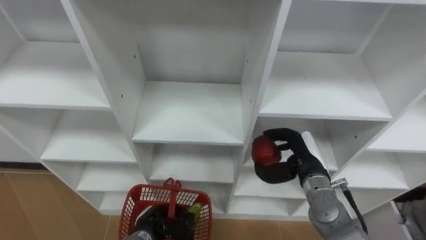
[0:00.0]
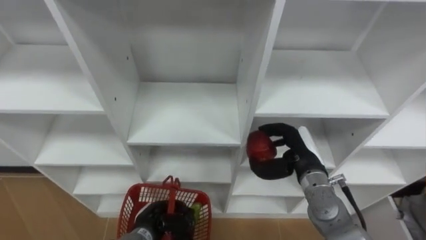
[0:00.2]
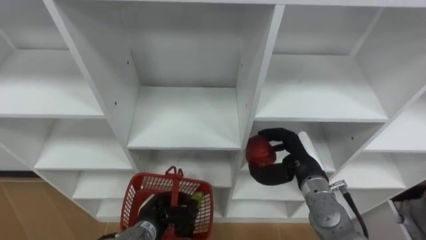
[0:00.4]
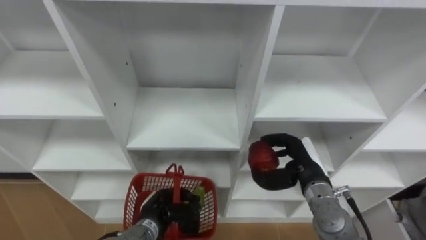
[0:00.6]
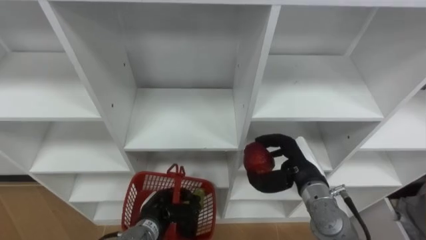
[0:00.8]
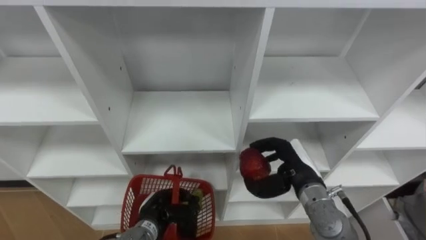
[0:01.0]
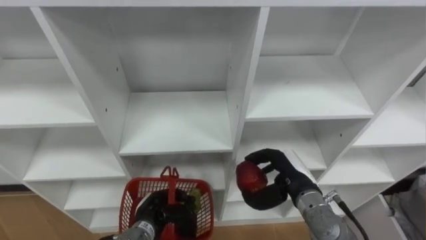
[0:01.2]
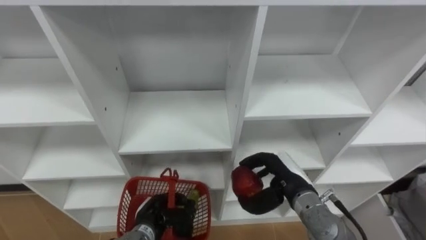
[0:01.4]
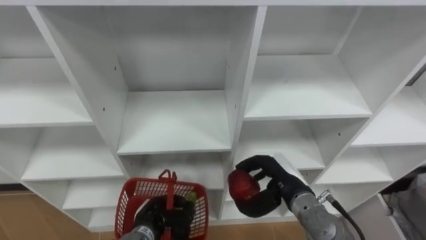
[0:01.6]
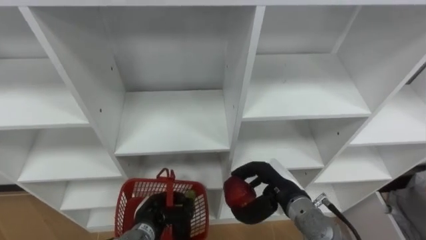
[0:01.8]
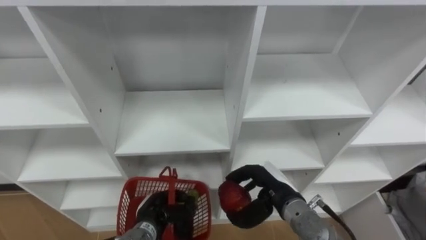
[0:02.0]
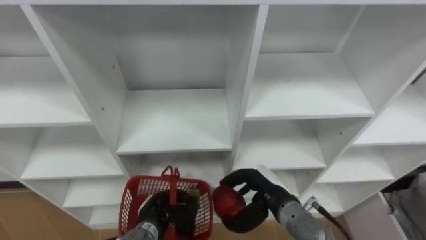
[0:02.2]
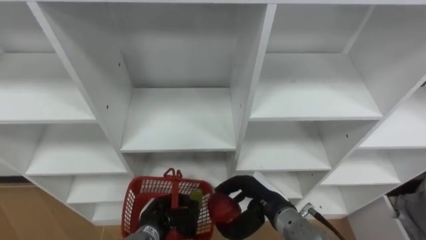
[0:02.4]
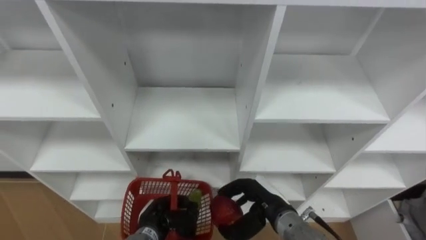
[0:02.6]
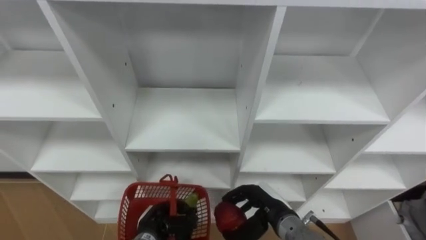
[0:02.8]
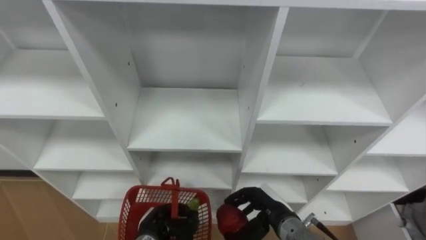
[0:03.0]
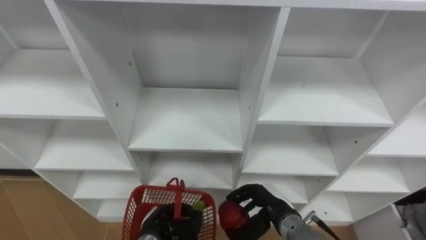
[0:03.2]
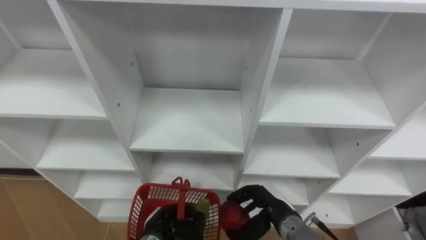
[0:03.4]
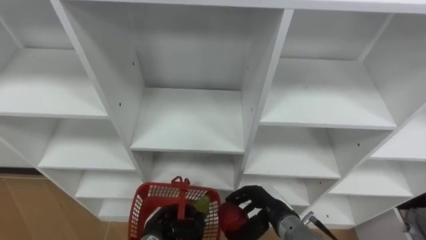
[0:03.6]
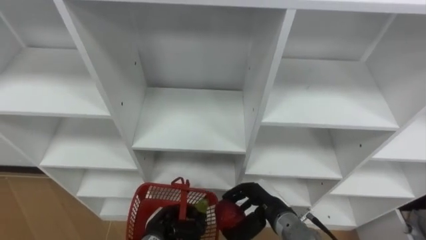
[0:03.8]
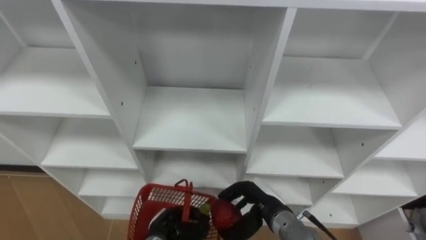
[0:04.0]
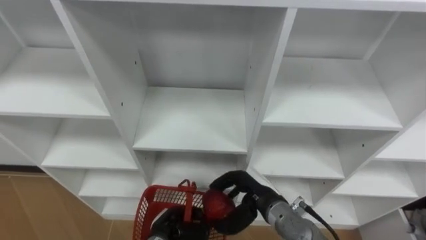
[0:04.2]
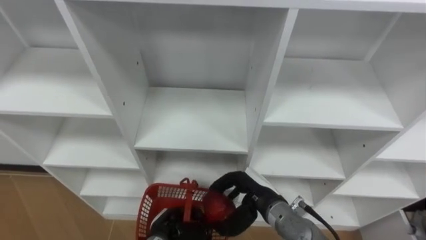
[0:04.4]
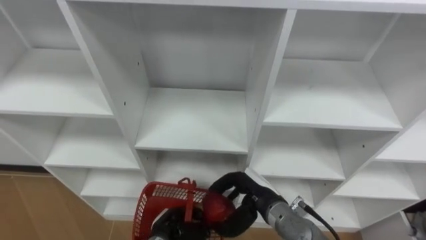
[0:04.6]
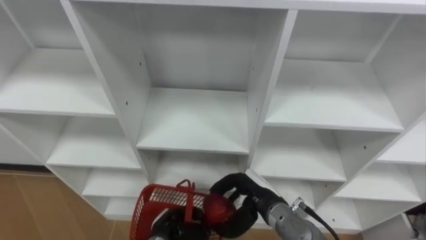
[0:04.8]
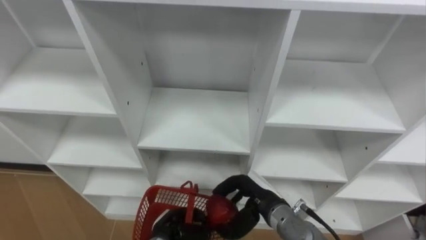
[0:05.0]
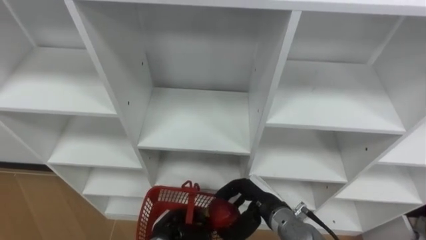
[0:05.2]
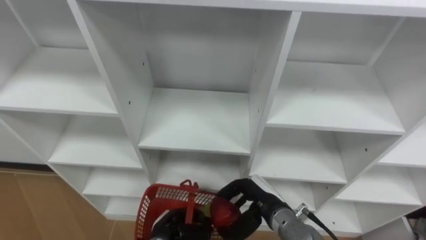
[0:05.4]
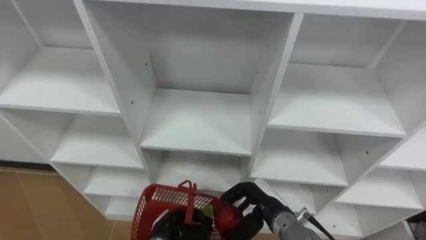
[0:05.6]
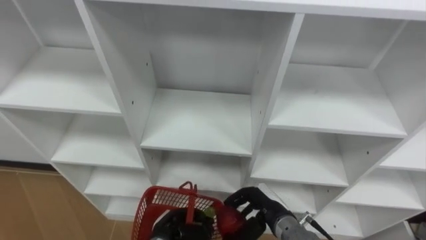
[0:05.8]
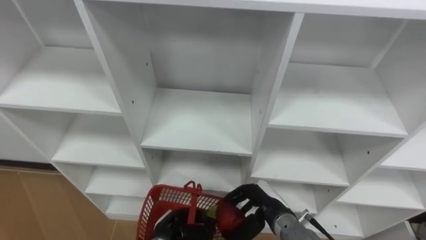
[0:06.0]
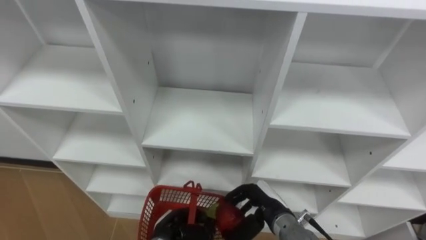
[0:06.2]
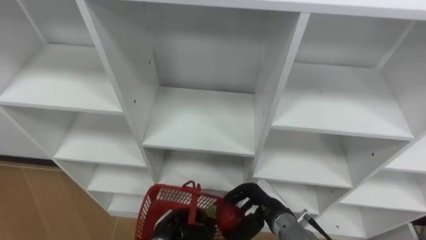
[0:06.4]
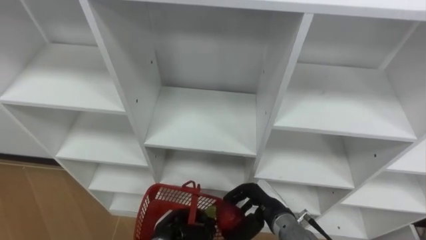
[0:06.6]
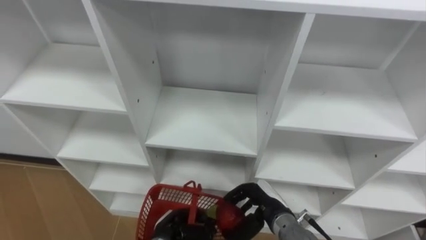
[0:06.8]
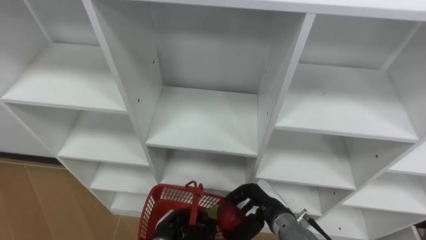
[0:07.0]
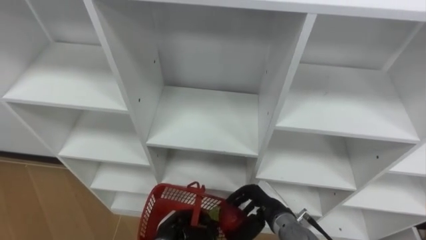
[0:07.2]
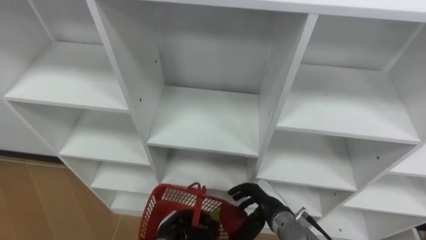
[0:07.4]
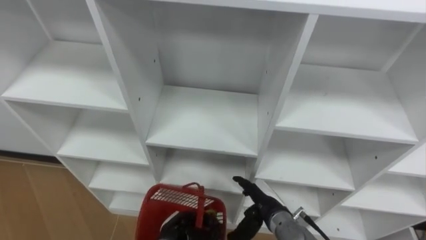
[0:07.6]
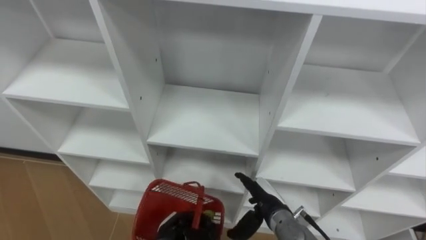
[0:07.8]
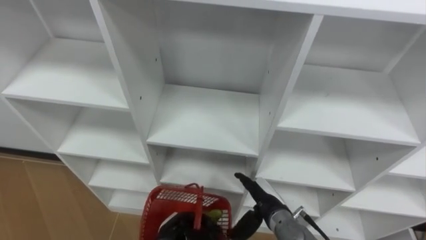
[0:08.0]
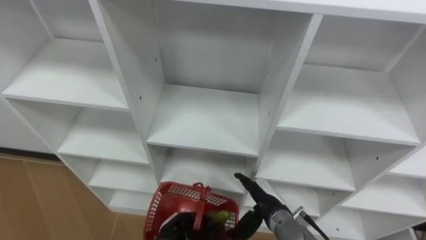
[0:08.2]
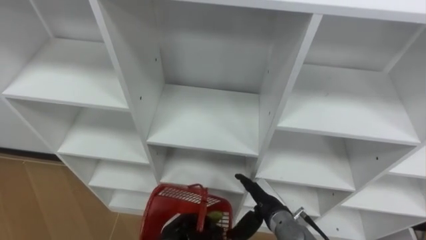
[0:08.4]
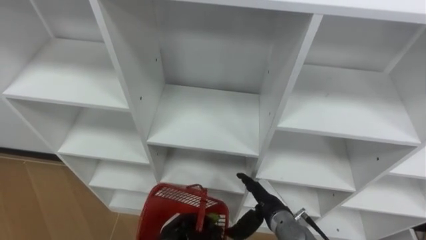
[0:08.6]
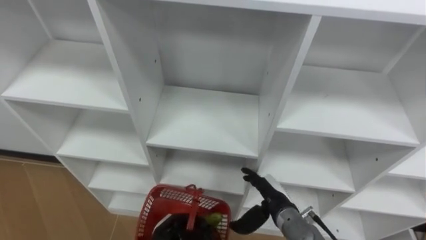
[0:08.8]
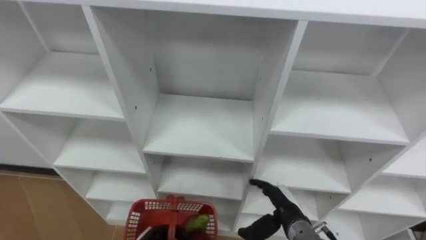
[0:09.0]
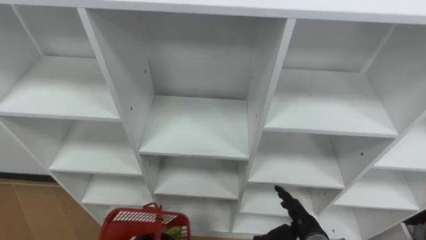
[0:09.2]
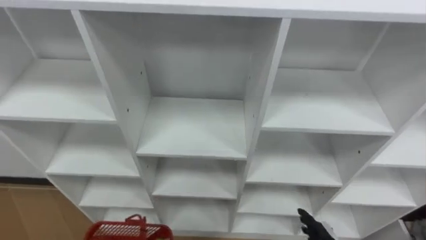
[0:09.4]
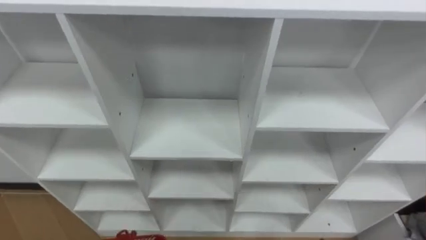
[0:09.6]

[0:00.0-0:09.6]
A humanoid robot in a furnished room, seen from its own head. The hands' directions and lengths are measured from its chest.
Task of the whole recording: Hold the basket and collect the fruits from 3 different cells of the closet into it.
0:00.0 to 0:01.6: The right hand ends up roughly 5 cm from where it was.
0:01.6 to 0:03.2: The right hand is displaced downward by some 5 cm.
0:03.2 to 0:04.8: There are only small adjustments of the hands.
0:06.4 to 0:08.0: The right hand opens.

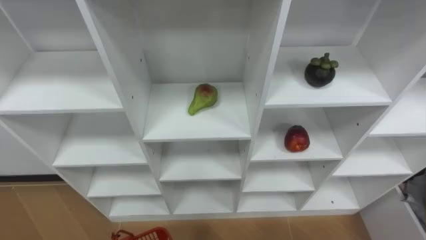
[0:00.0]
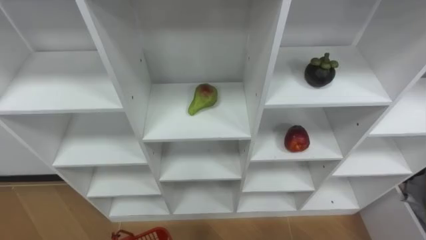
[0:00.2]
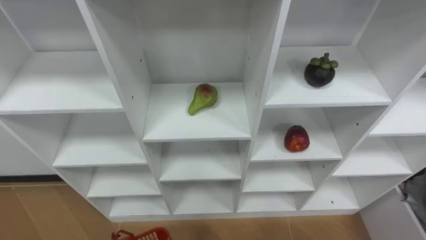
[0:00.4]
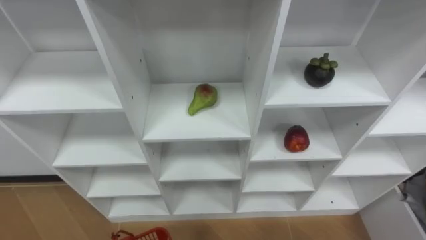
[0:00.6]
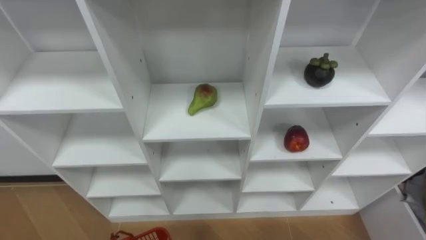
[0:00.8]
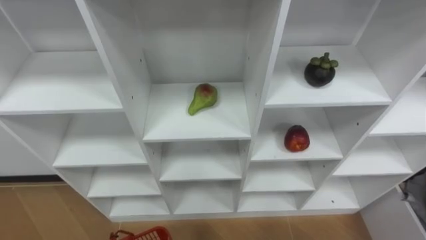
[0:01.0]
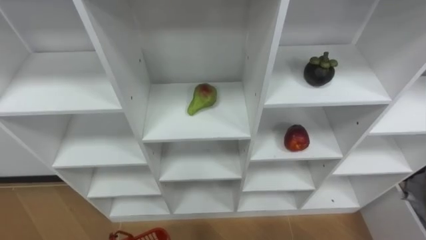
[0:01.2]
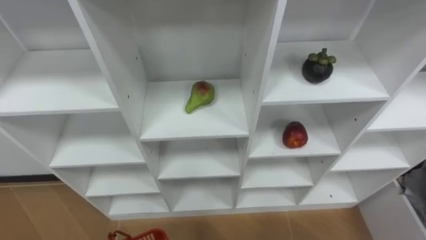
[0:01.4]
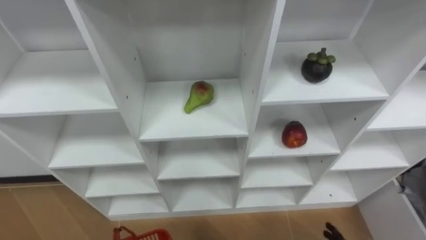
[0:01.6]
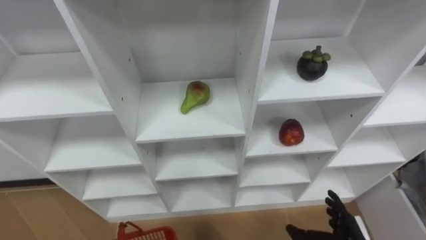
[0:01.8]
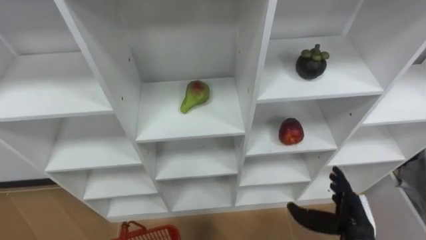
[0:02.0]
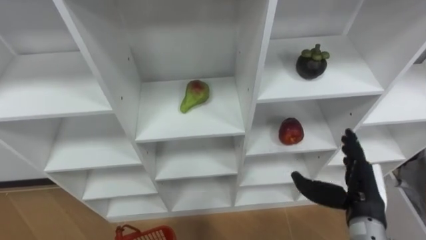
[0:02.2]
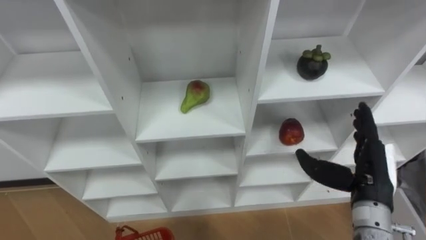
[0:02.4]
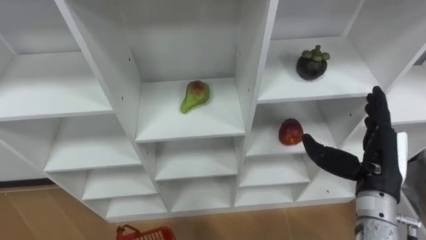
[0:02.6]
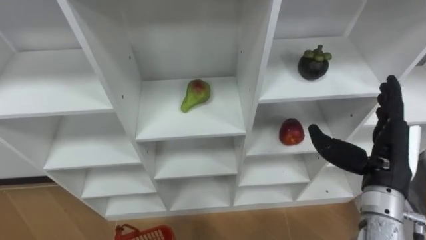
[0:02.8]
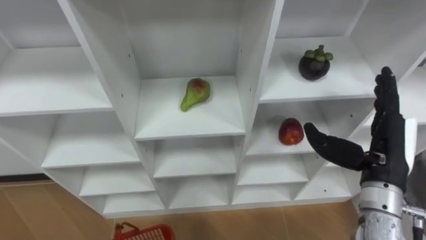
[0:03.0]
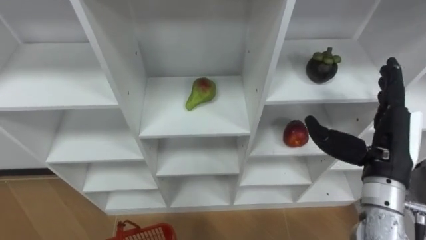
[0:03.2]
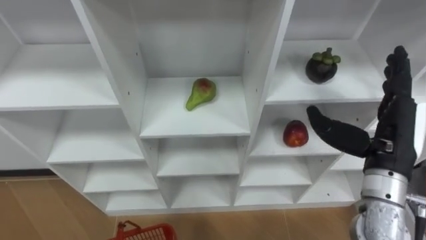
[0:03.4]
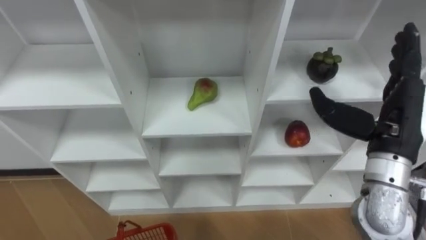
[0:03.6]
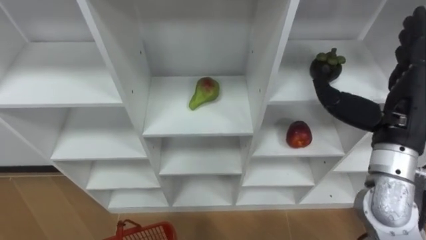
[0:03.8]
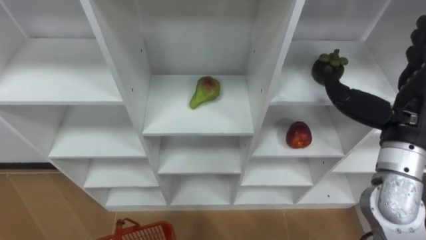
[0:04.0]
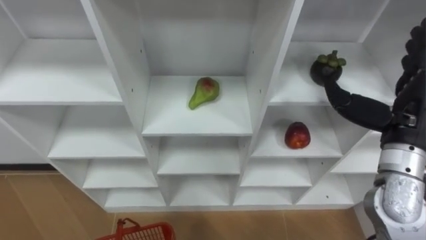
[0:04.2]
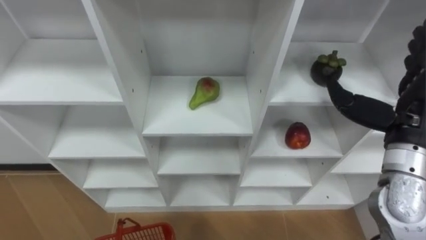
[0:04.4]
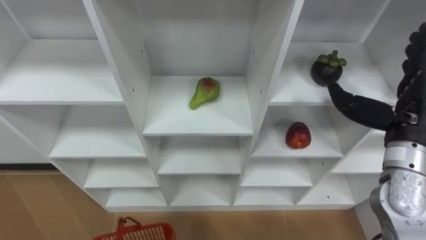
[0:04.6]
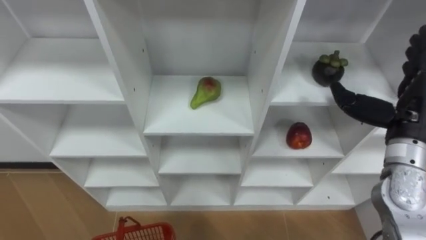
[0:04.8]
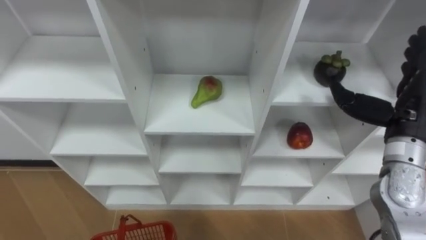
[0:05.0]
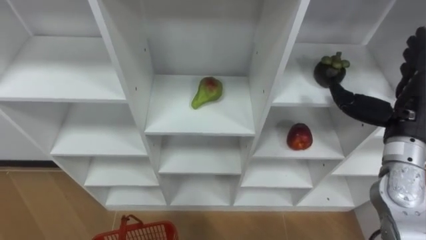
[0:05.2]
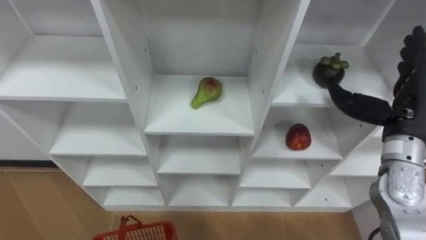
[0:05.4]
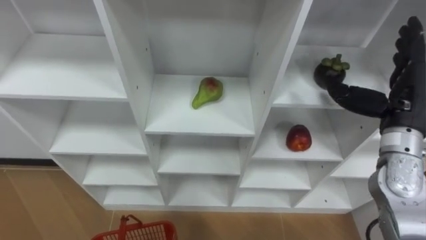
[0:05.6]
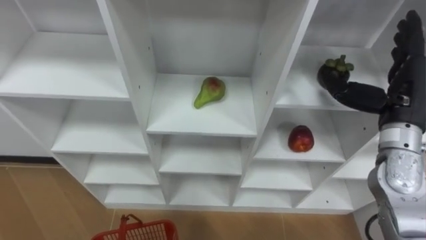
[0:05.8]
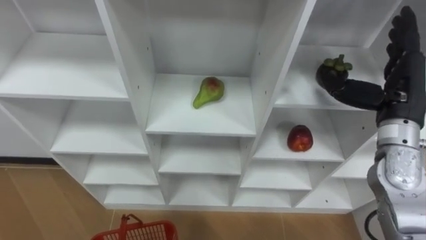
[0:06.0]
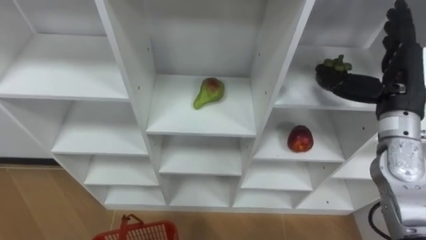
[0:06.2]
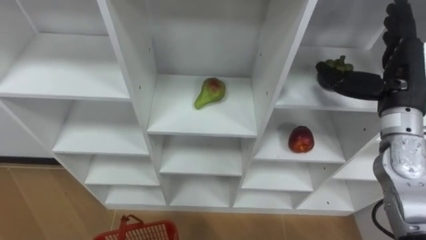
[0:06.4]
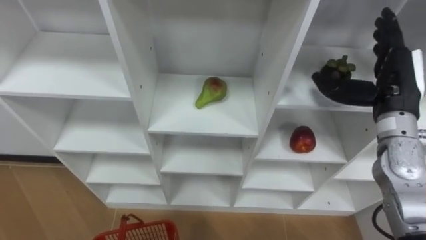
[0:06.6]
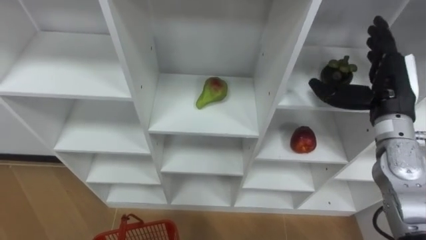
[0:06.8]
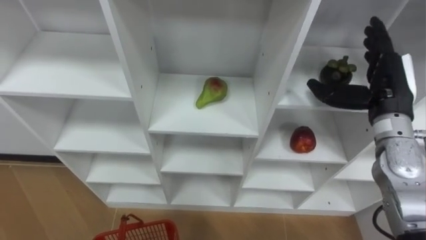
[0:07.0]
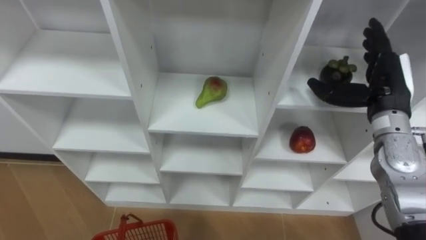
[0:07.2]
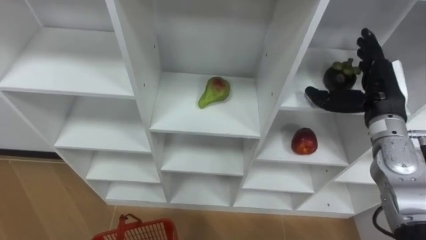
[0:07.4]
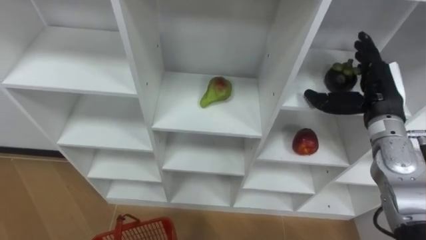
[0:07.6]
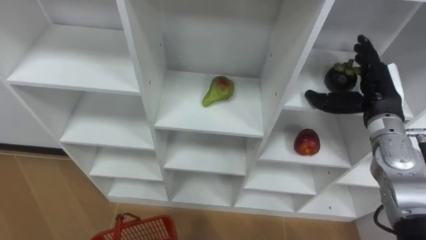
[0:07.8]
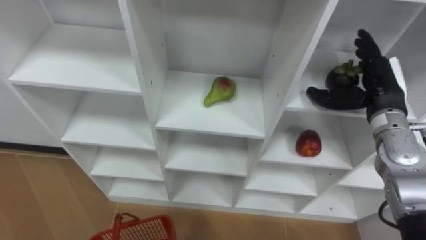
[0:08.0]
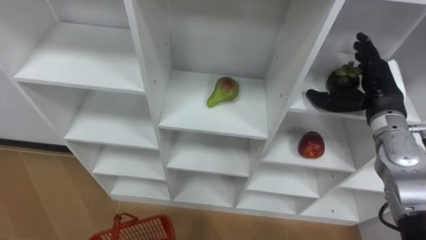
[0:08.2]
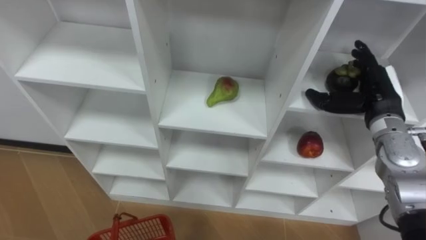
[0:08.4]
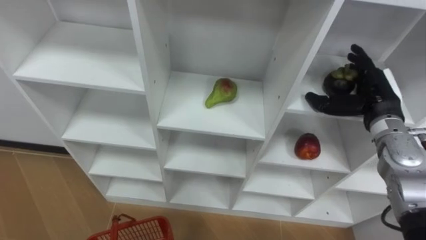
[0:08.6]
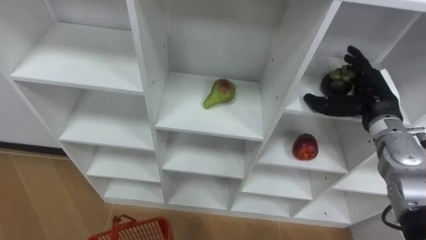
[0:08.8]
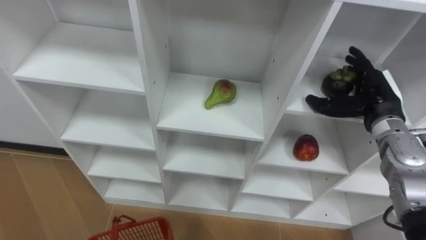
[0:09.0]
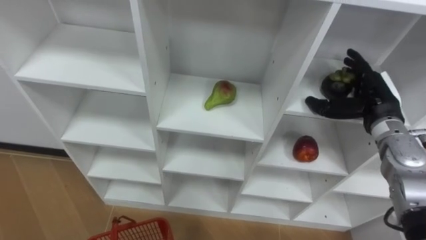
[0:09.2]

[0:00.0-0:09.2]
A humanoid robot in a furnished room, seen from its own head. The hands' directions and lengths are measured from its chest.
Task of the whole recording: Hold the basket and collect the fruits from 3 different cells of the closet into it.
0:03.0 to 0:04.6: The right hand changes place by roughly 5 cm.
0:06.2 to 0:07.6: The right hand shifts by approximately 5 cm.
